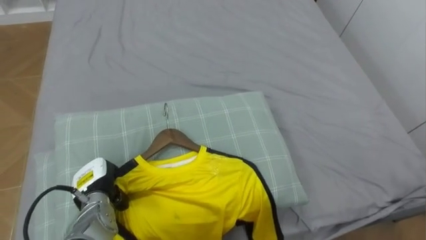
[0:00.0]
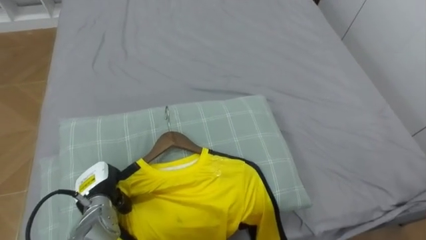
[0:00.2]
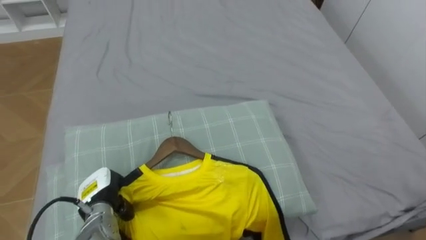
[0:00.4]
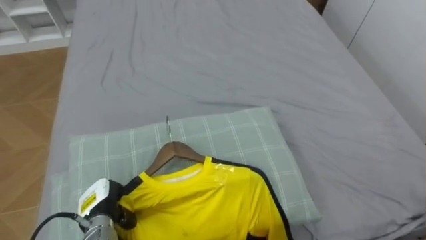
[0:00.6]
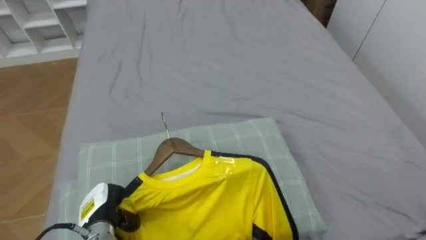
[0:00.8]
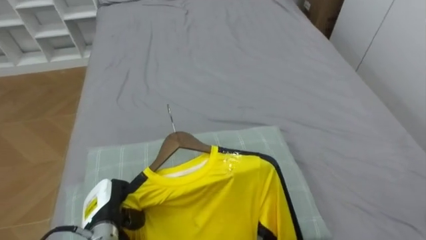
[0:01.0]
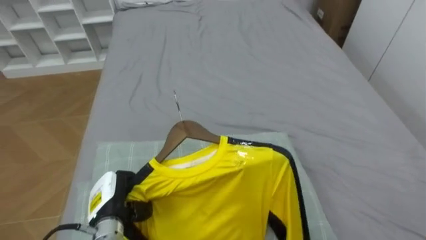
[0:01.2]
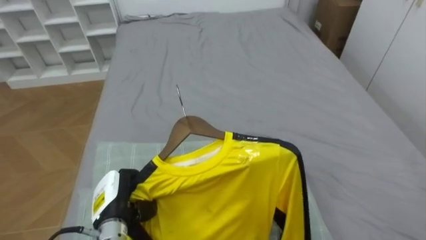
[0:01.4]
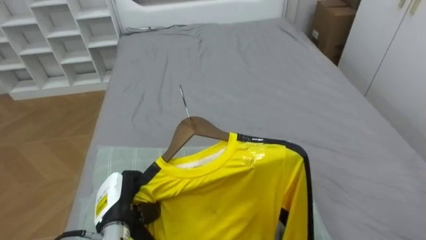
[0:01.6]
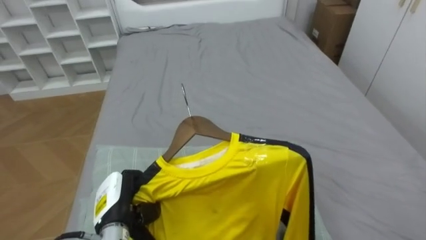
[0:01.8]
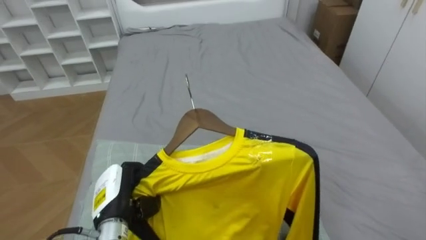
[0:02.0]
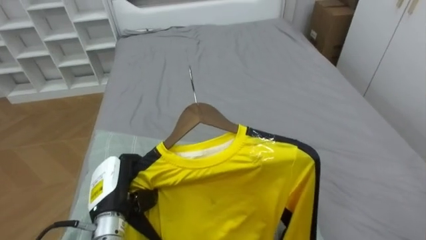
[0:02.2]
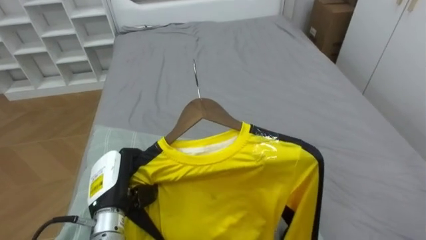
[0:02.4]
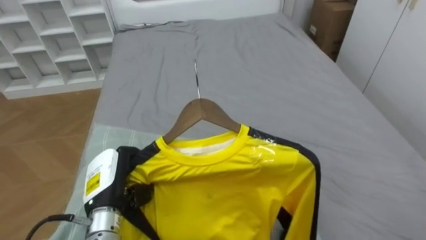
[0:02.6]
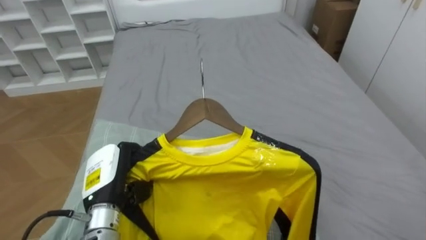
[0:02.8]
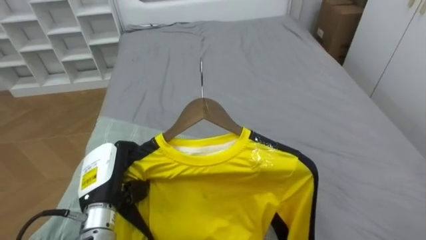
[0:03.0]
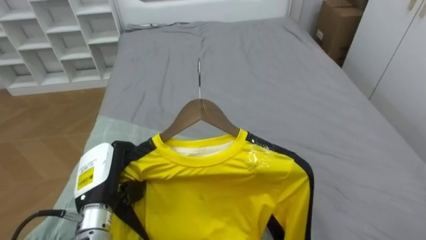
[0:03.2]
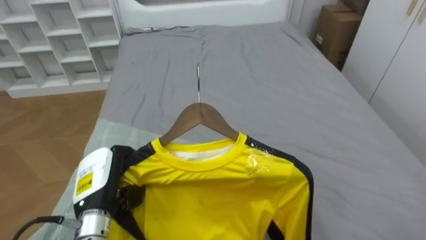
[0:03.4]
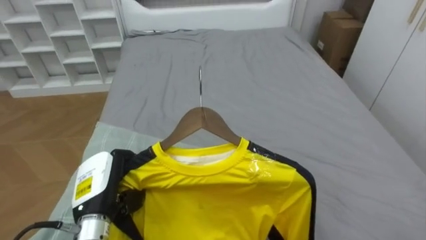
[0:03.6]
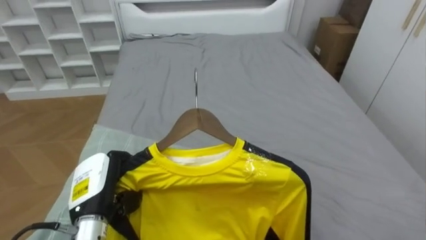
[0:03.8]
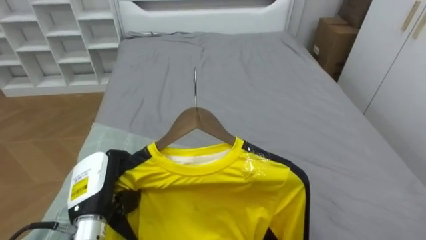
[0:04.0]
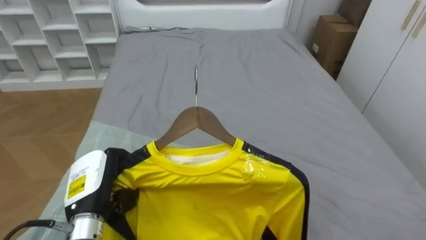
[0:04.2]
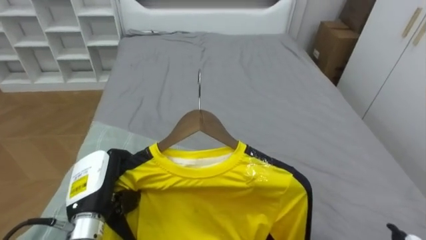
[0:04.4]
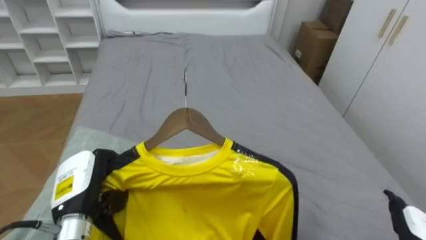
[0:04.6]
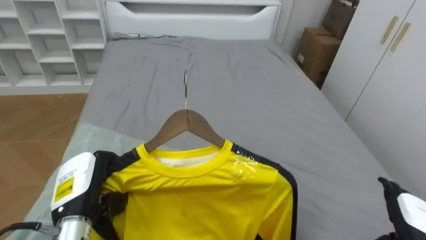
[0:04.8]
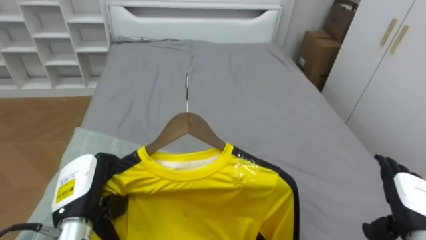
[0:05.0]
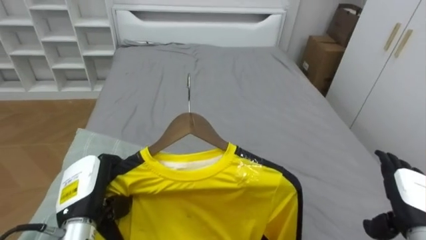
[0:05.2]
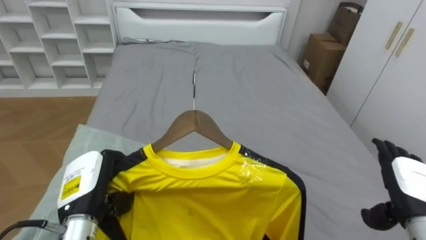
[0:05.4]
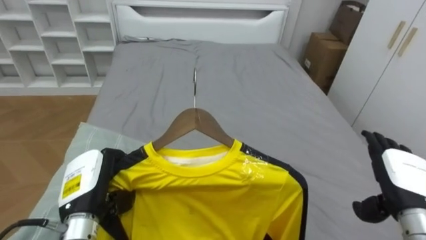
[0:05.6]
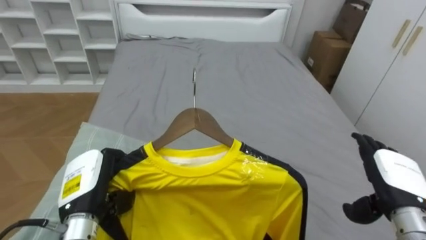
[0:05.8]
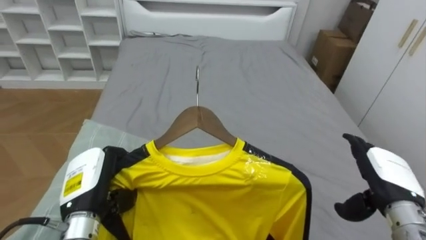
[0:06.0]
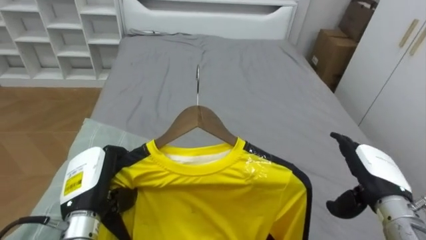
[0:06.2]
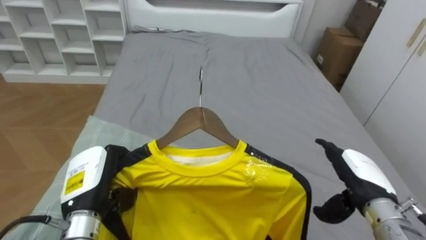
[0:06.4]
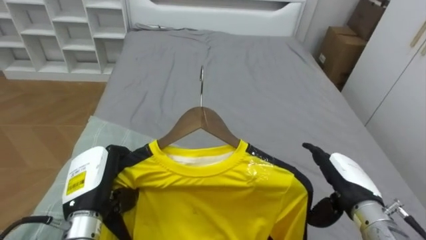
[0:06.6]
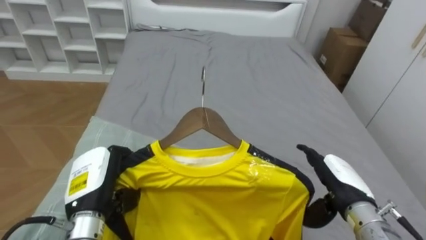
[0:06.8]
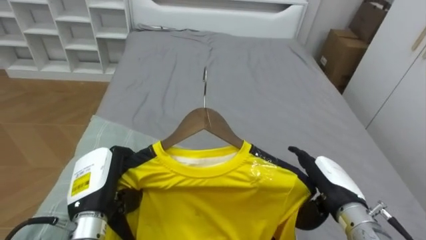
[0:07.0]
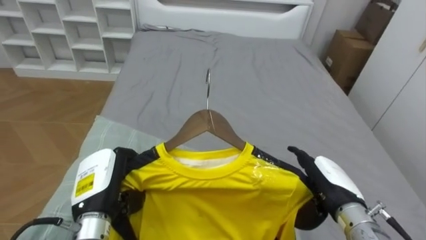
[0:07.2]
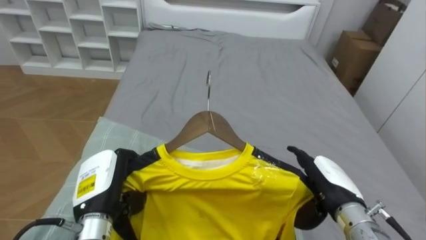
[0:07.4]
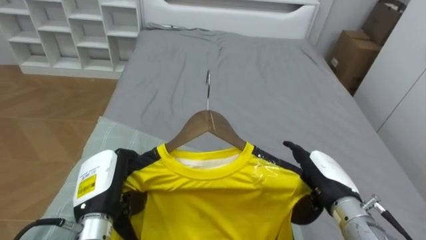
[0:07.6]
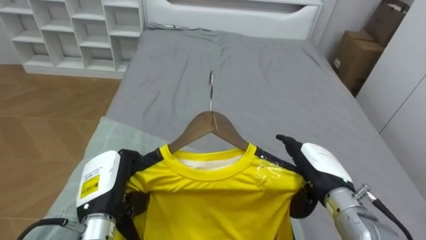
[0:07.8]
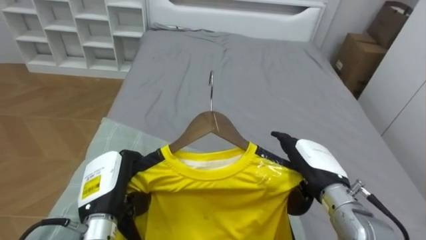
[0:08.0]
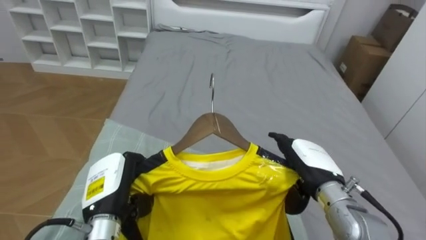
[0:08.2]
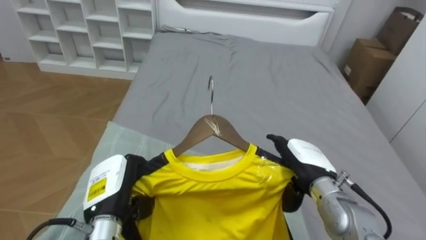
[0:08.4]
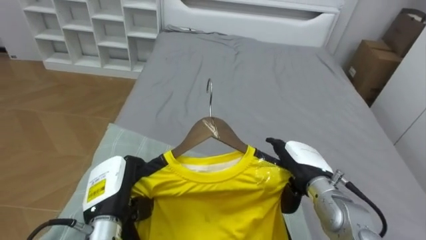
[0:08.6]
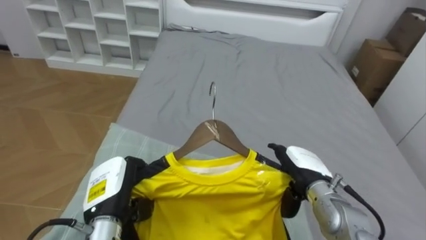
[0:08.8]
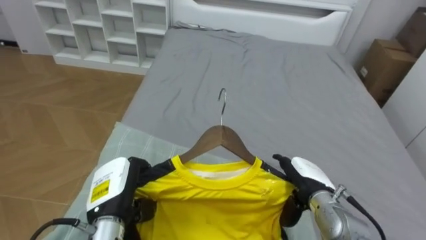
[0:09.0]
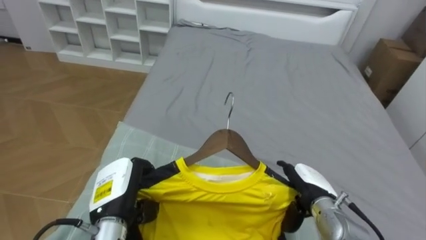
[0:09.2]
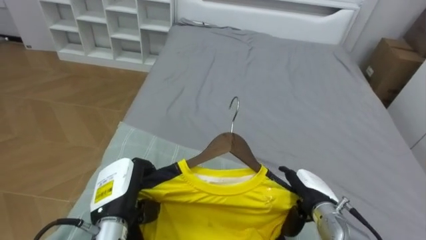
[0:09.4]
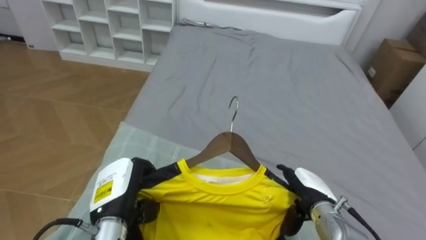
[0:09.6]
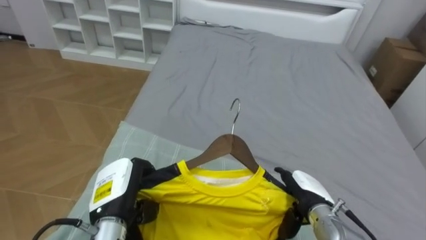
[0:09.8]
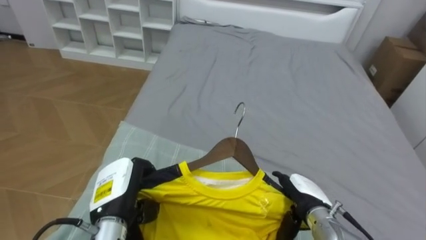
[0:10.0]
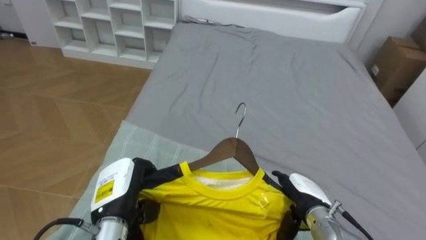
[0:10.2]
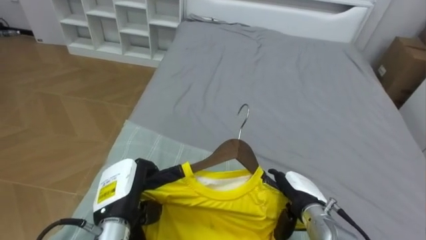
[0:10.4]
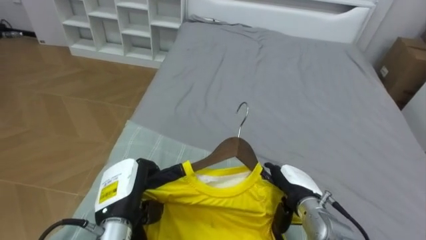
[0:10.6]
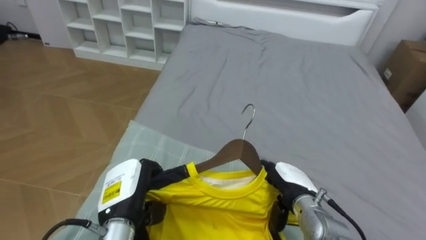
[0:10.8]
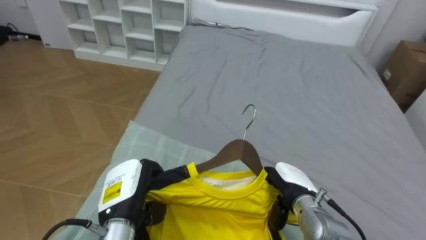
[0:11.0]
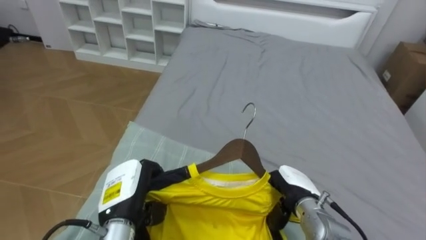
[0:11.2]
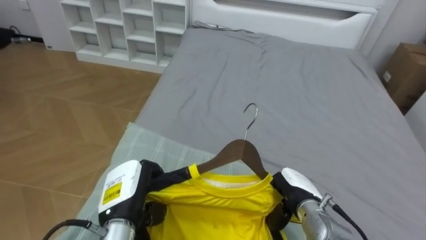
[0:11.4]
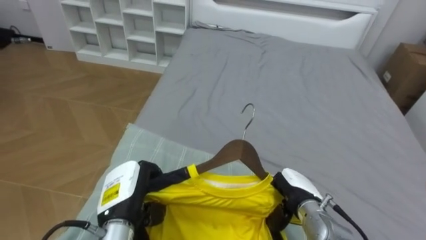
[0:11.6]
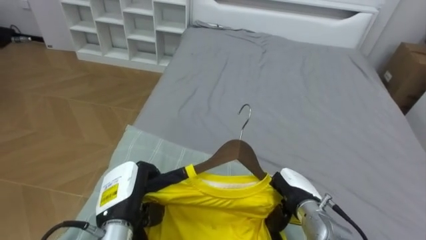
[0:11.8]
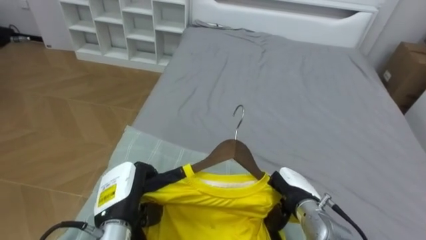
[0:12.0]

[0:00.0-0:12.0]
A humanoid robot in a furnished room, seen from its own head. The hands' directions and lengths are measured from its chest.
Task of the whole recording: Pick up the yellow shirt on the bed and hang it on the clothes rack on the right.
0:00.0 to 0:01.6: The left hand goes some 5 cm to the right.
0:01.6 to 0:03.0: The left hand travels upward by some 10 cm.
0:06.0 to 0:07.6: The right hand heads to the left, covering about 10 cm.
0:07.6 to 0:09.0: The right hand shifts by some 5 cm.
0:10.4 to 0:12.0: The right hand closes up.

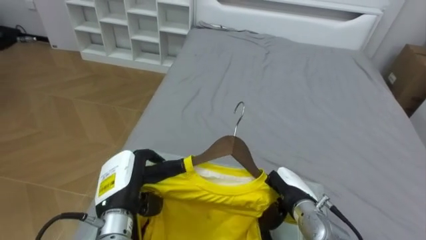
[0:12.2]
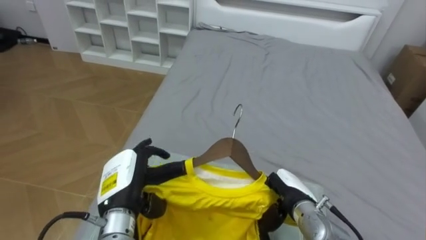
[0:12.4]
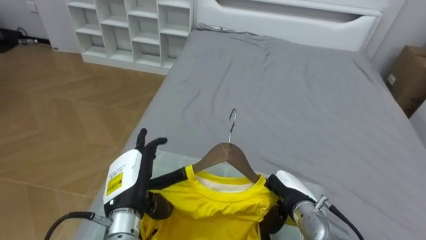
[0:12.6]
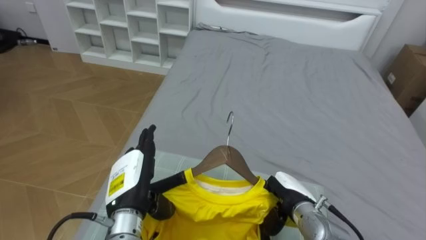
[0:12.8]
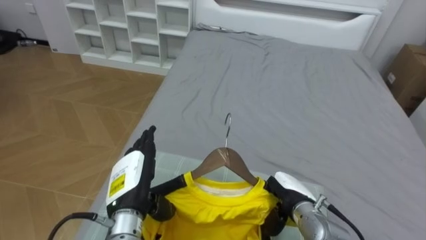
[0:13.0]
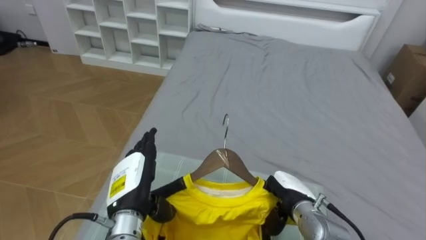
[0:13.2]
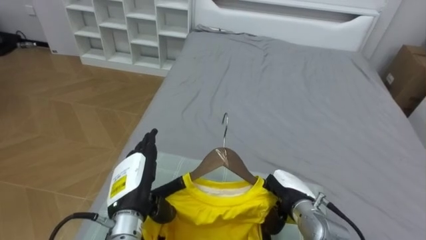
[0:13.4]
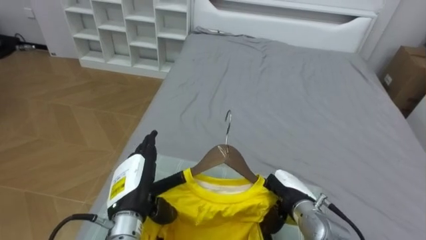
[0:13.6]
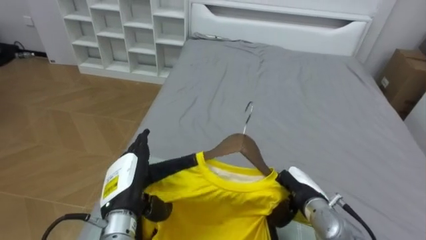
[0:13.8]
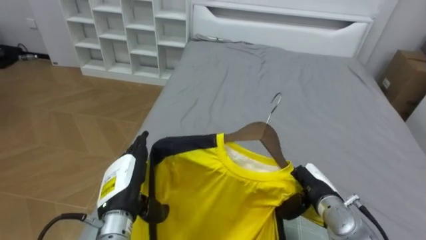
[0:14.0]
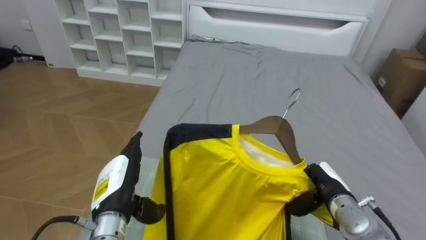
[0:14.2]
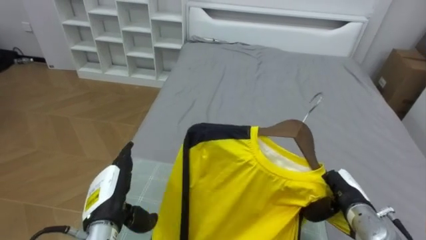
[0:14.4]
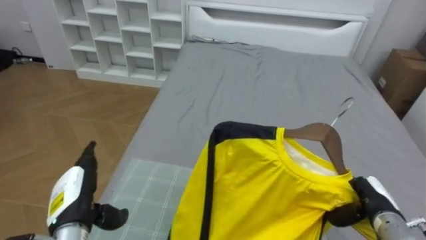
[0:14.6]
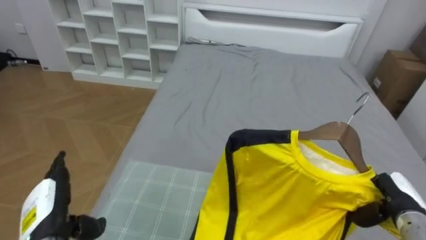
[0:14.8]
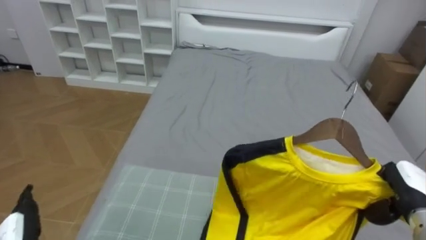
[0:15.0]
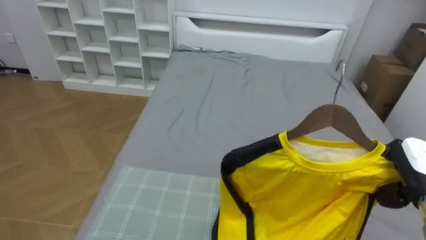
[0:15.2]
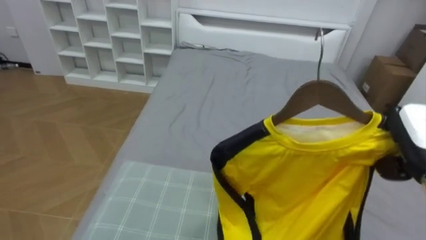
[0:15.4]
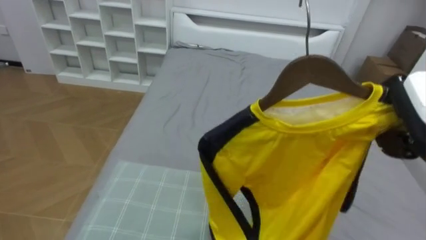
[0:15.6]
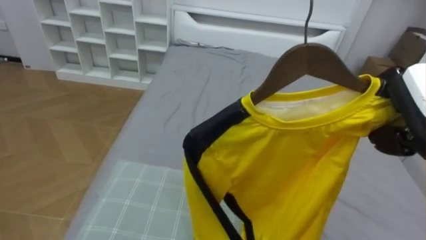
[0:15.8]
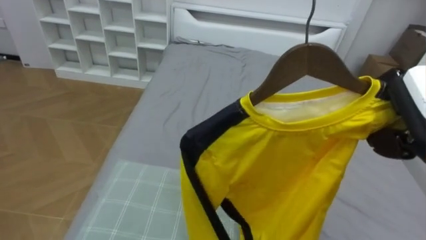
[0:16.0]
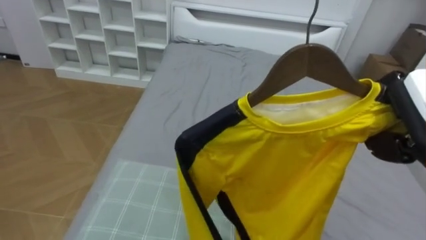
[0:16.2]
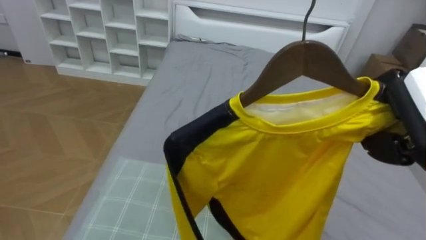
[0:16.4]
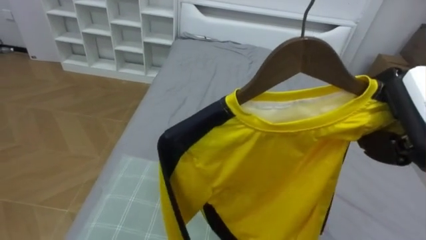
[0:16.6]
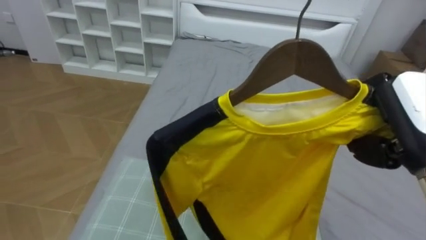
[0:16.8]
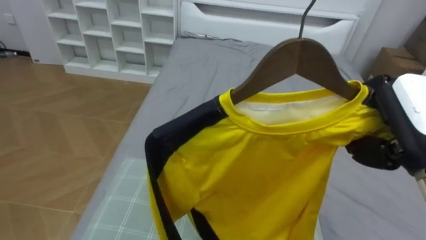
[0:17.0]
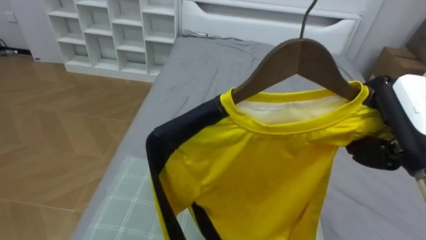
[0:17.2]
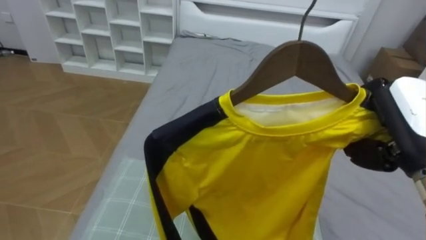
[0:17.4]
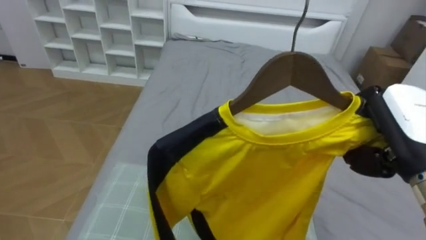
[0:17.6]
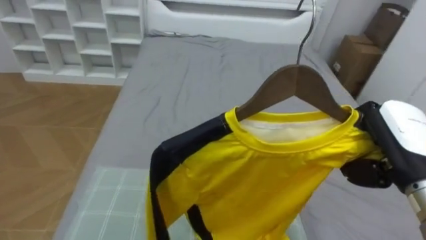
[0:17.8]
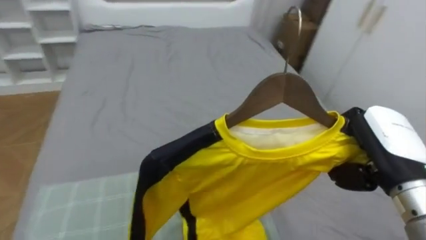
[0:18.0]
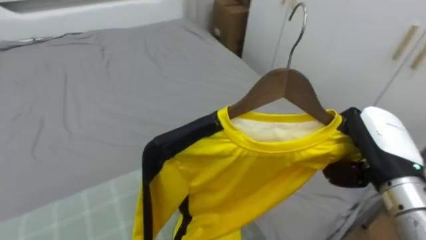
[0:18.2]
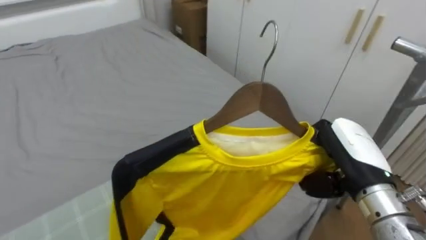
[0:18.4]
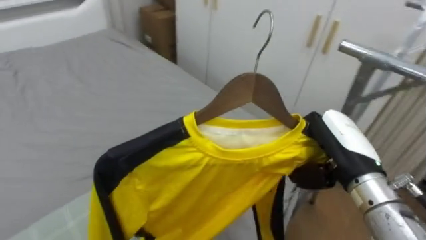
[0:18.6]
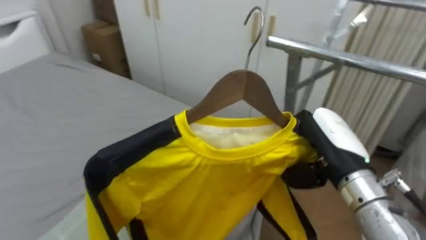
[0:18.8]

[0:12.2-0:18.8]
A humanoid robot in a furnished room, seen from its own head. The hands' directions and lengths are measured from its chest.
Task of the whole recording: Pick up the yellow shirt on the bed and hang it on the clothes rack on the right.
0:12.2 to 0:13.8: The left hand opens its fingers.
0:13.8 to 0:15.4: The right hand shifts roughly 25 cm upward and to the right.
0:15.4 to 0:17.2: The right hand goes roughly 10 cm upward and to the left.
0:17.2 to 0:18.8: The robot turns to its right by about 65 degrees. The right hand travels to the left and downward by some 10 cm.
